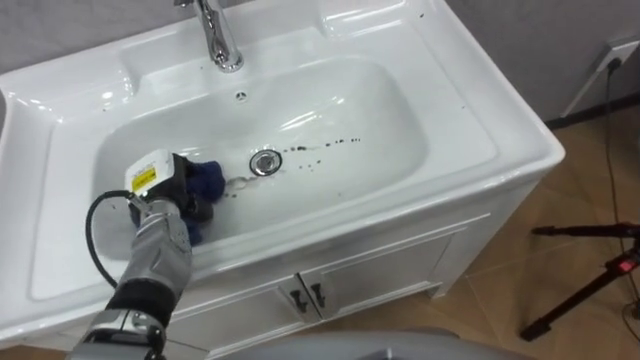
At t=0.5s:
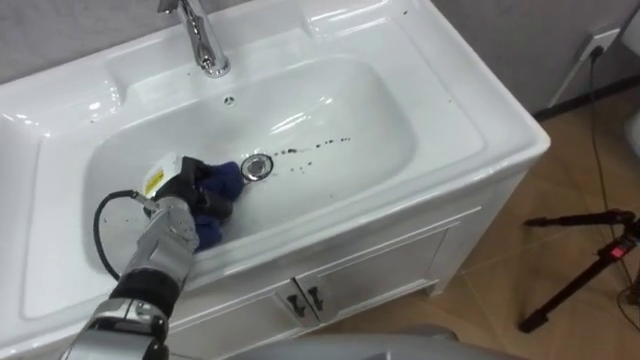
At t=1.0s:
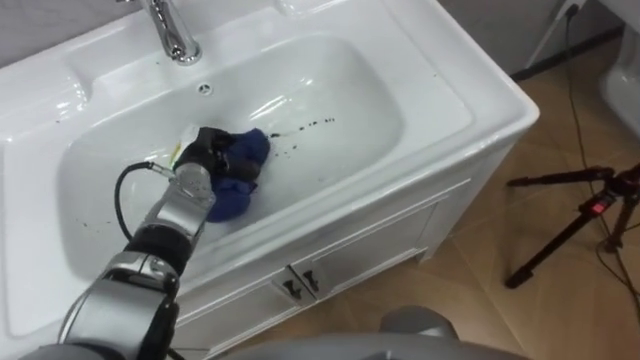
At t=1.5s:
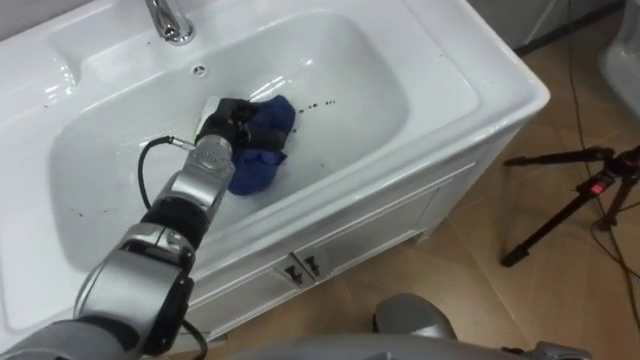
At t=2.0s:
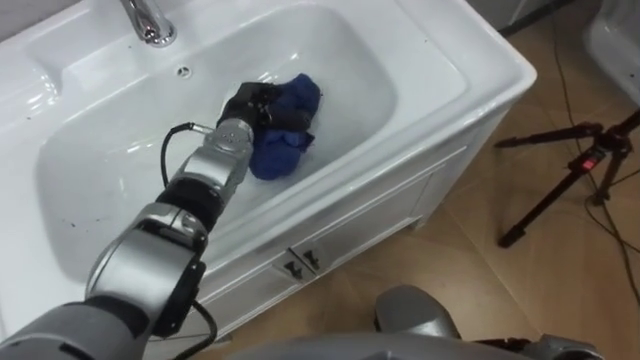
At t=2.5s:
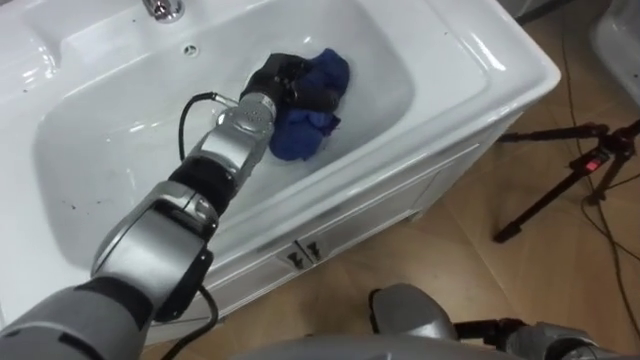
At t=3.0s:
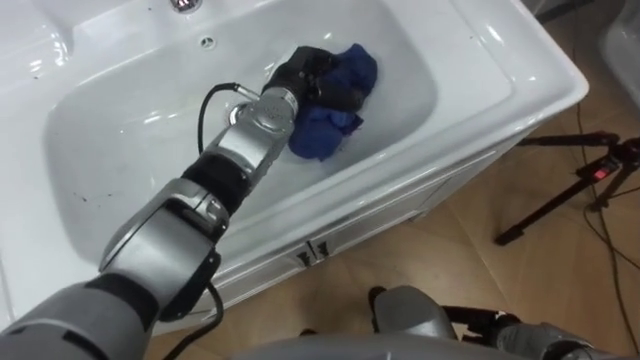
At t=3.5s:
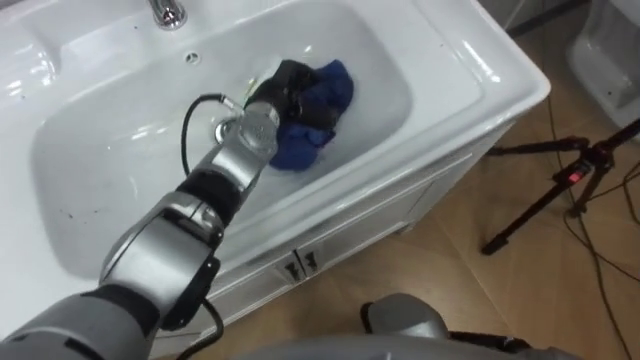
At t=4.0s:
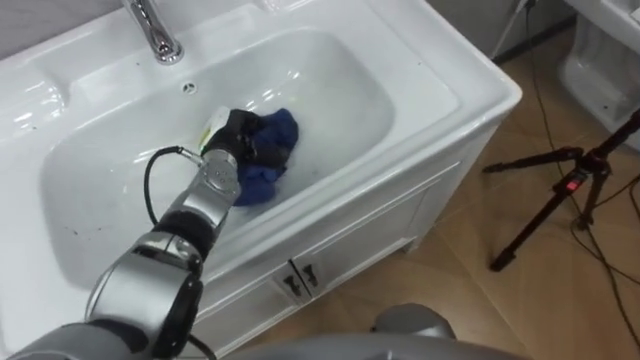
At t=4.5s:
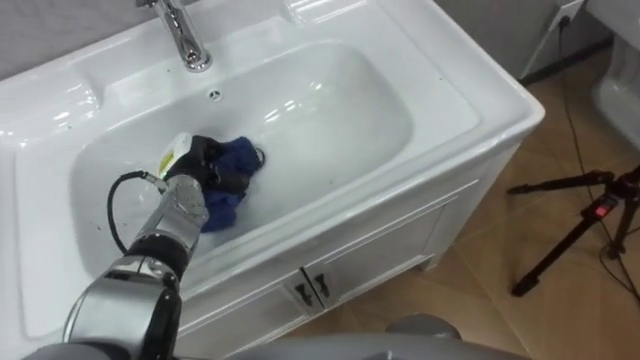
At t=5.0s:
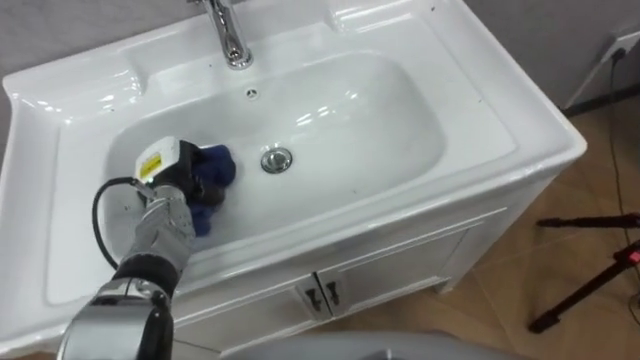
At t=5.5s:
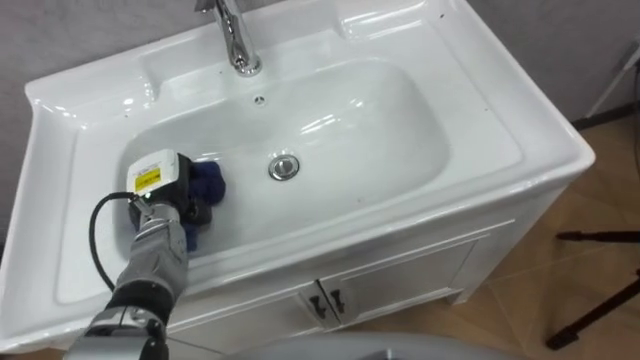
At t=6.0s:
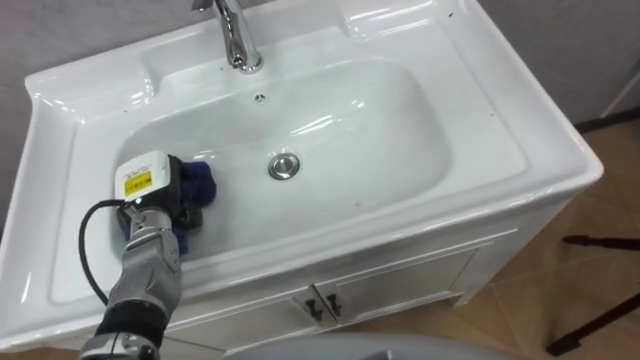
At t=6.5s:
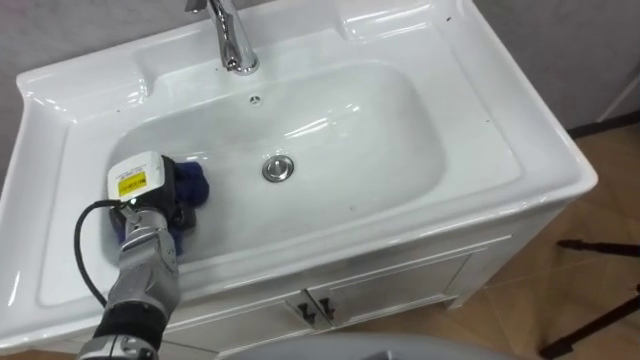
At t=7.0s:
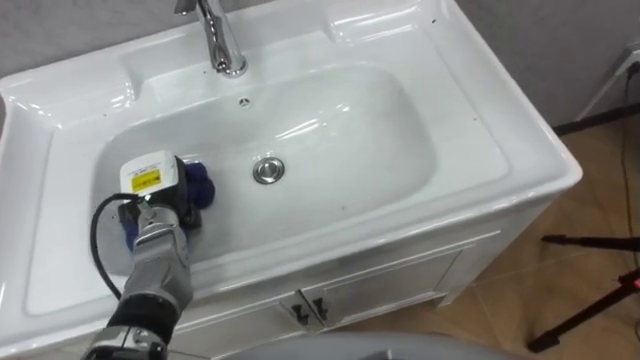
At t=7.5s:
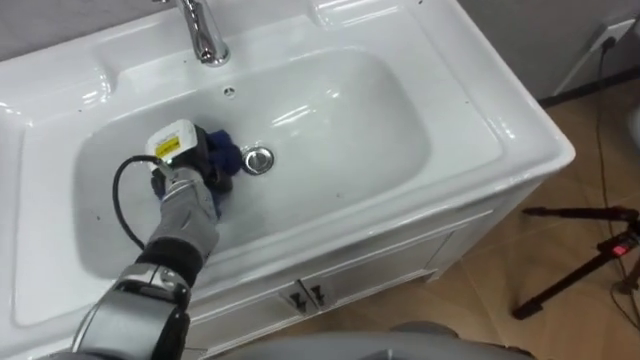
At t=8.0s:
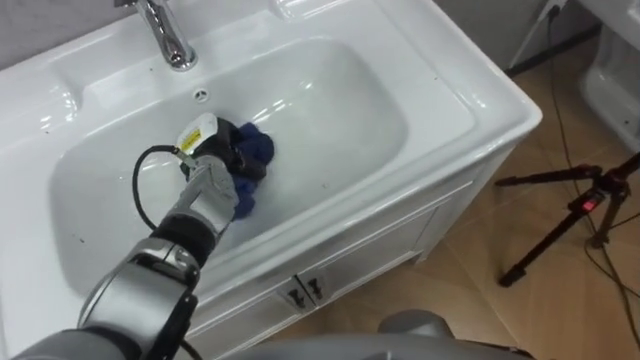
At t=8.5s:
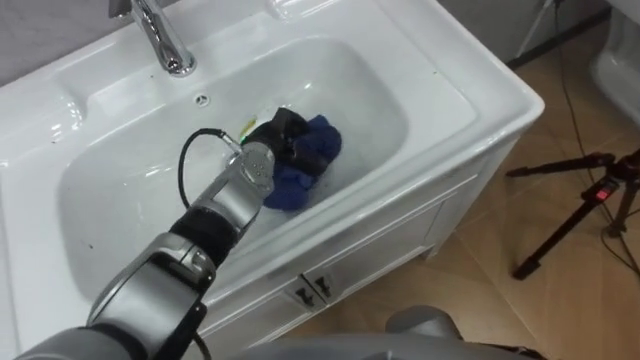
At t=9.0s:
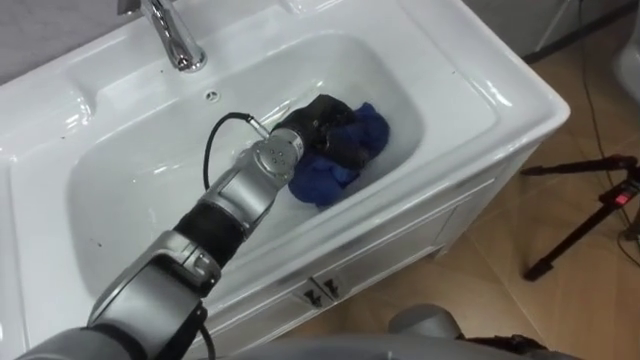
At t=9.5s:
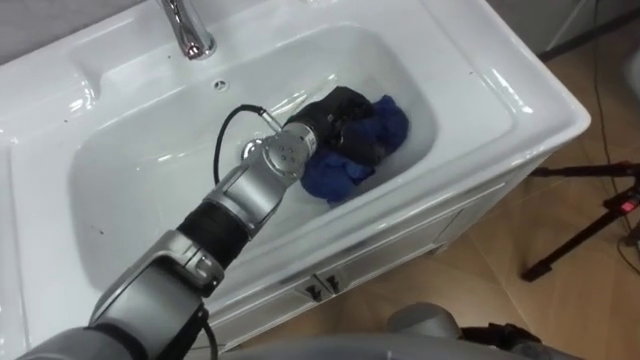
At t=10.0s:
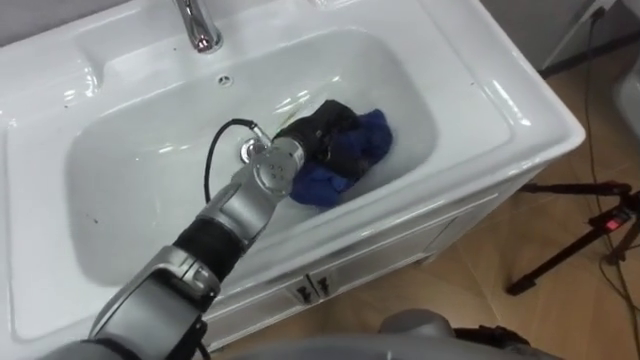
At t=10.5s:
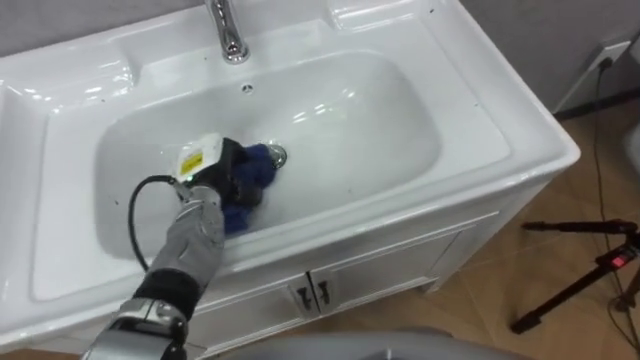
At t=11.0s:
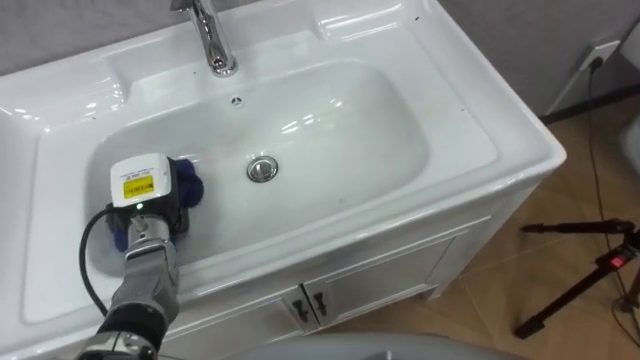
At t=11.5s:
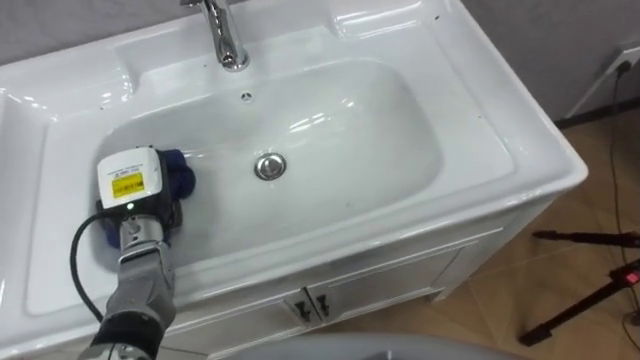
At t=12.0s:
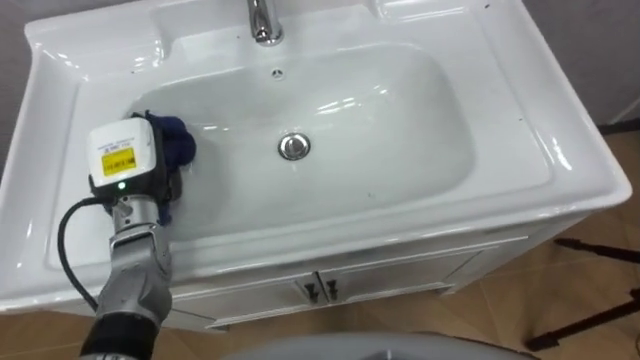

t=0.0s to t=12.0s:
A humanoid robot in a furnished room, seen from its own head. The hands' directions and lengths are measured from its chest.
Task of the whole recording: Use the cloth on the right to wipe away the black stain in the sink.
t=0.0s to t=2.0s: The left hand moves to the right and forward, roughly 15 cm.
t=2.0s to t=4.0s: The left hand moves about 10 cm to the right and comes back.
t=4.0s to t=6.0s: The left hand goes some 15 cm to the left and backward.
t=6.0s to t=8.0s: The left hand shifts about 10 cm to the right and forward.
t=8.0s to t=10.0s: The left hand moves to the right, roughly 15 cm.
t=10.0s to t=12.0s: The left hand shifts approximately 25 cm to the left.

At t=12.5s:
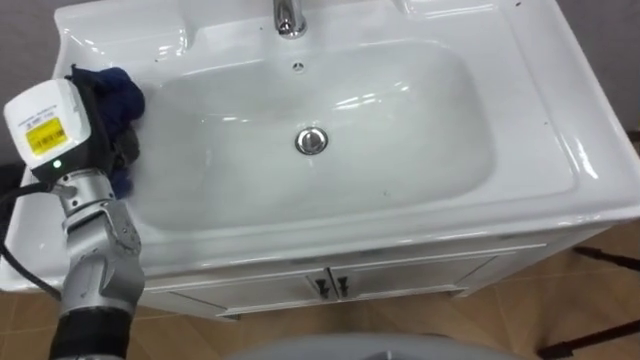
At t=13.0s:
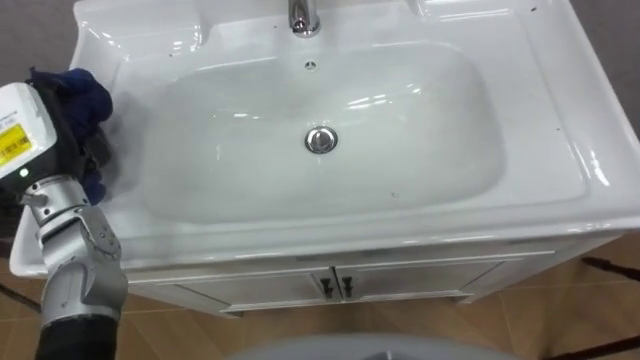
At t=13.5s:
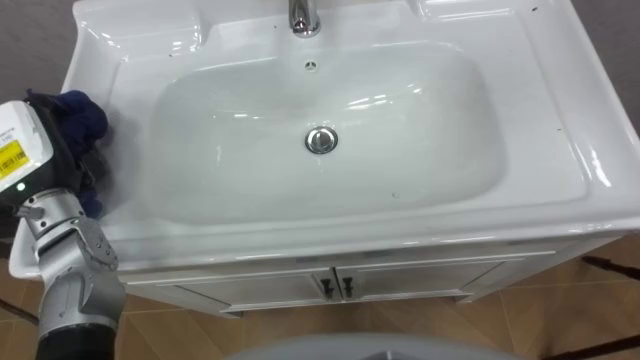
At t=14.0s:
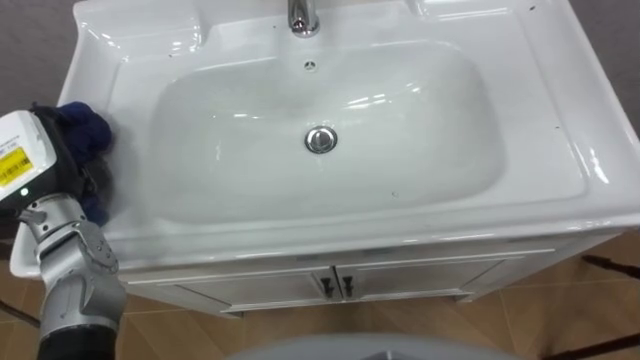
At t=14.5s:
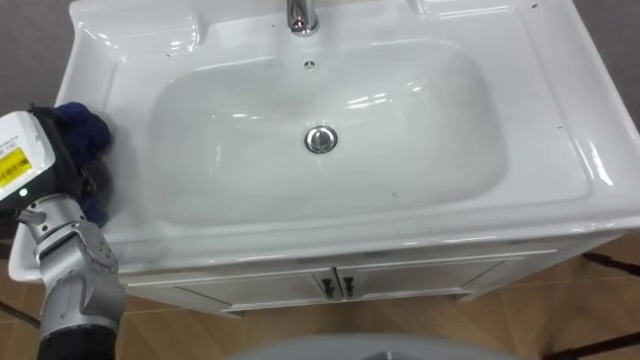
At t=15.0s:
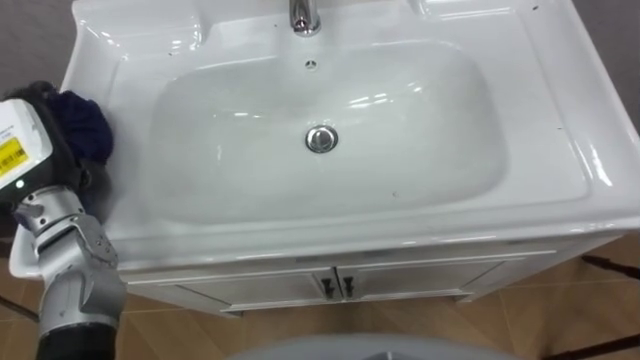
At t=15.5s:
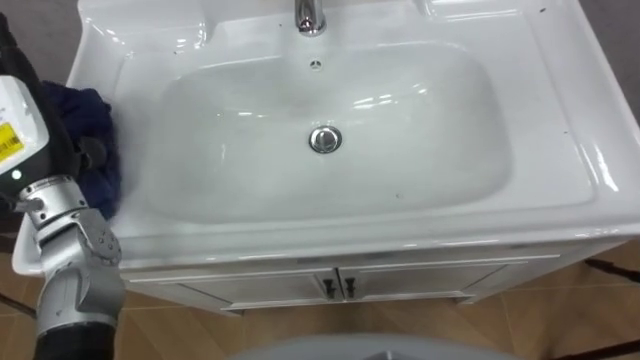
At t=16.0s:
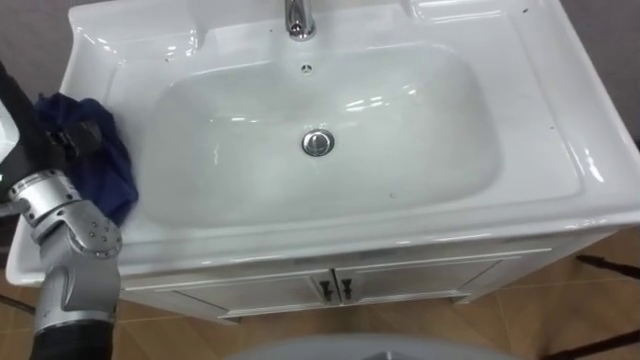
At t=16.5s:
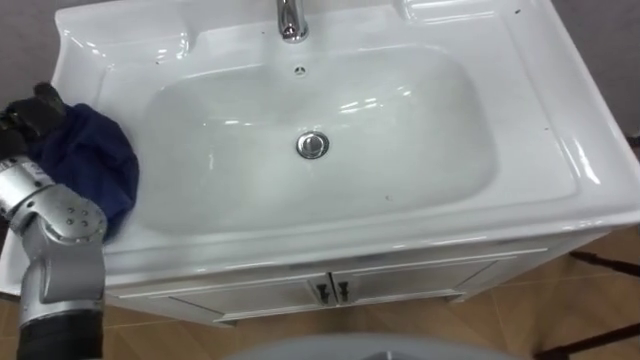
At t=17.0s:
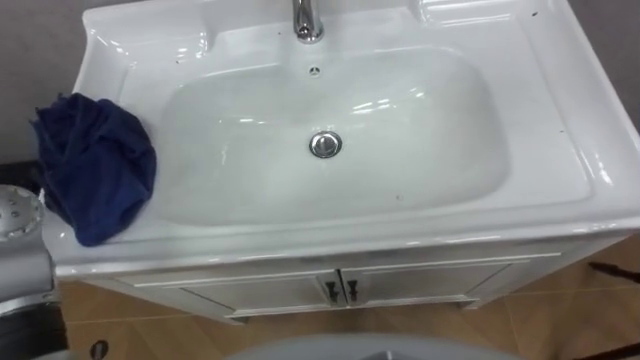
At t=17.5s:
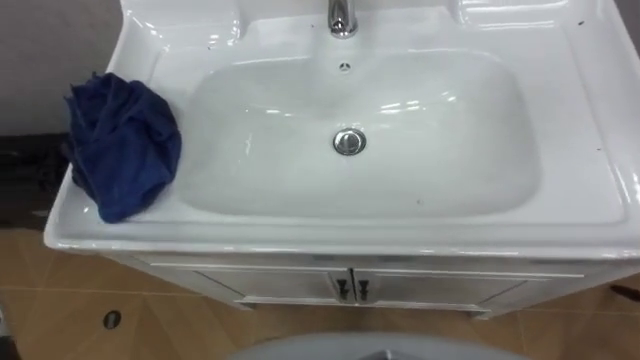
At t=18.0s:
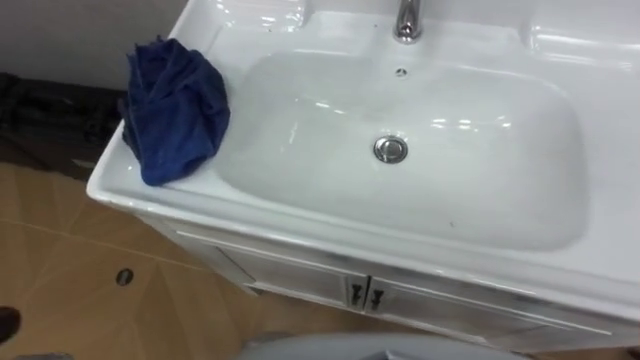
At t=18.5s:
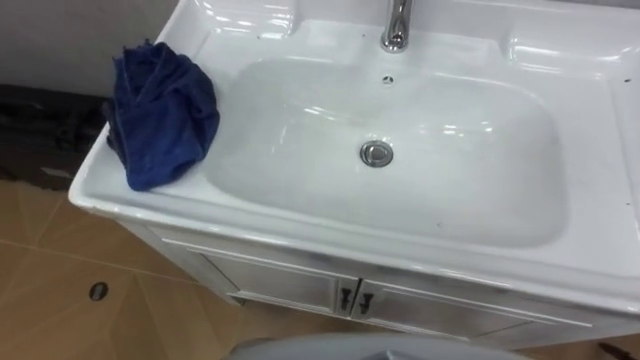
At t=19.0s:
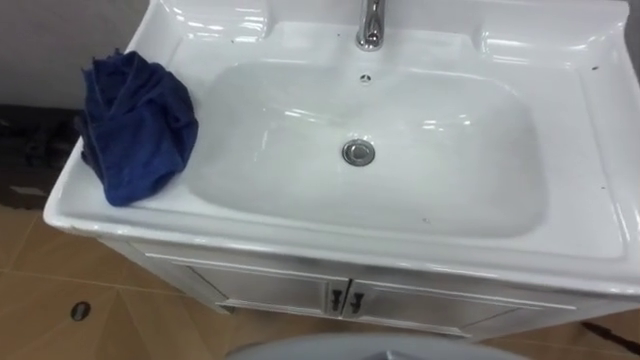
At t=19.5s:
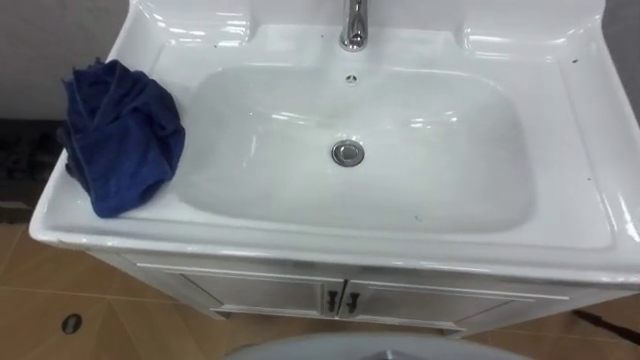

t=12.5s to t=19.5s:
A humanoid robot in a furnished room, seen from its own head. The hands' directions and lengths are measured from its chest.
Task of the whole recording: Use the cloth on the right to wipe away the black stain in the sink.
t=12.5s to t=14.5s: The left hand changes place by approximately 5 cm.

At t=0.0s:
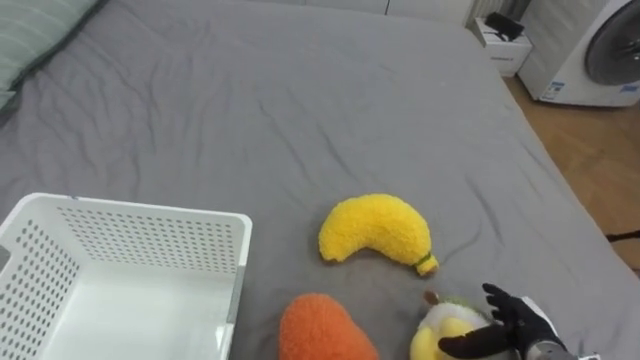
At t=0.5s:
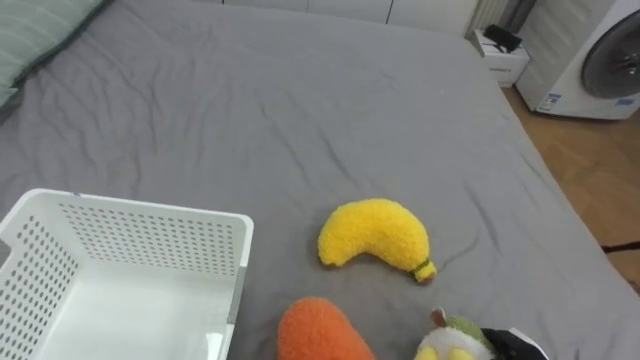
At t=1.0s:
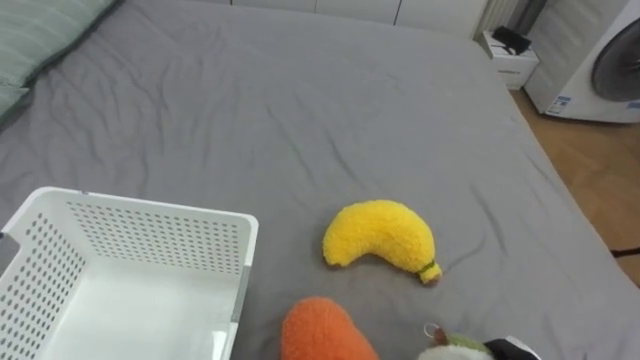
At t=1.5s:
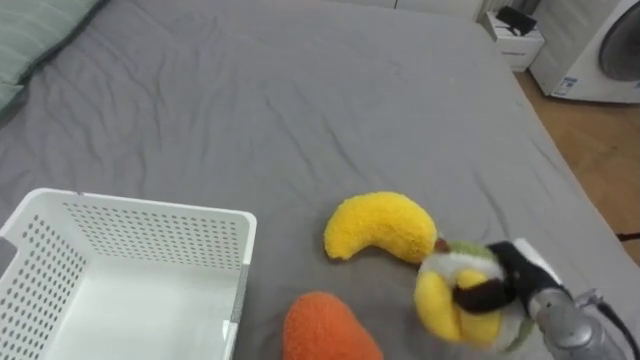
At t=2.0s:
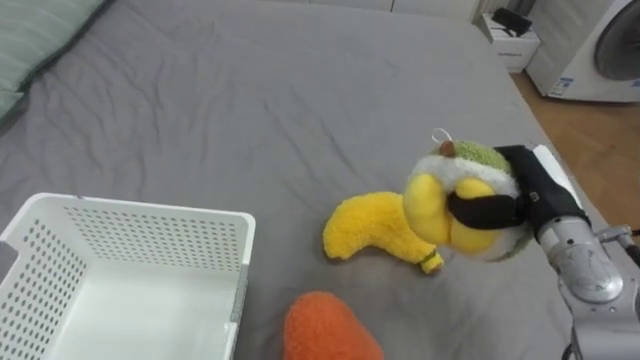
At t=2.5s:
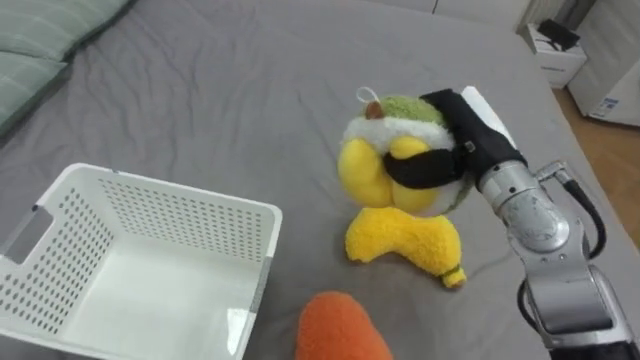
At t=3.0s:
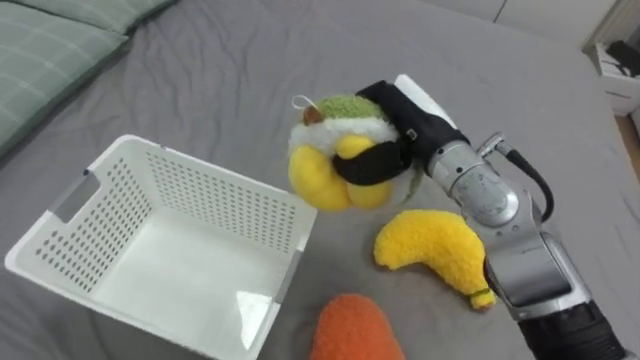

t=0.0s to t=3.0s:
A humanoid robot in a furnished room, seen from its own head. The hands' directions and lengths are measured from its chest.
Task of the whole recording: Put the toys on the bed into the basket on the left.
t=1.5s to t=3.0s: The right hand heads upward, to the left and forward, covering approximately 30 cm.
